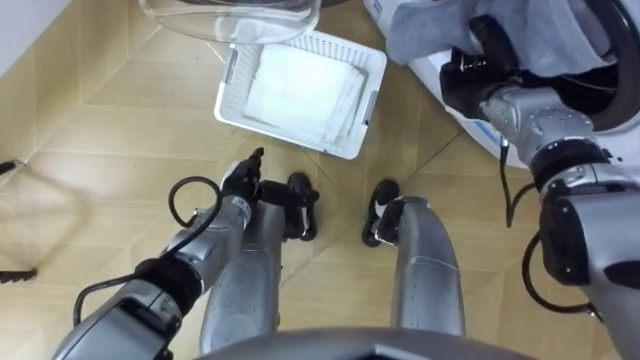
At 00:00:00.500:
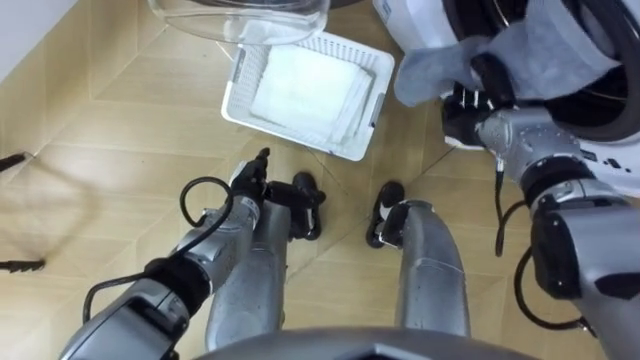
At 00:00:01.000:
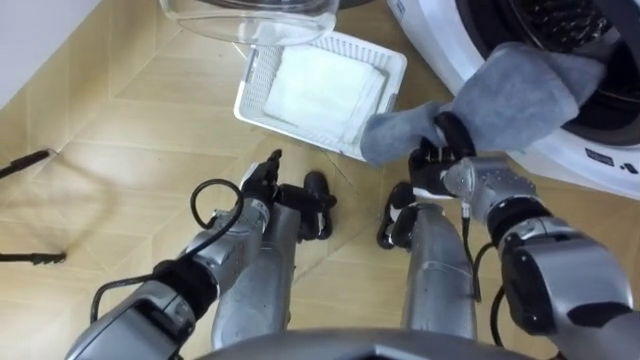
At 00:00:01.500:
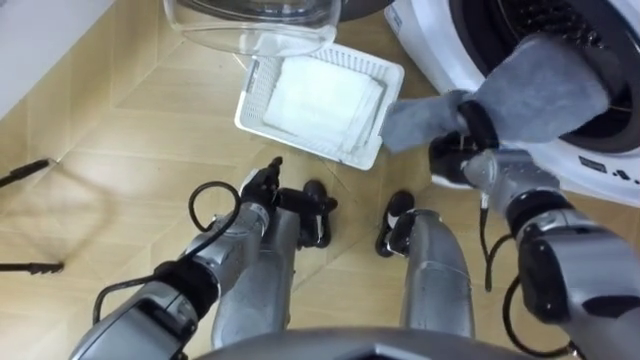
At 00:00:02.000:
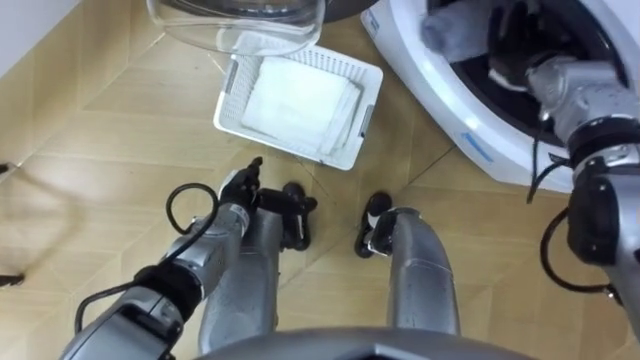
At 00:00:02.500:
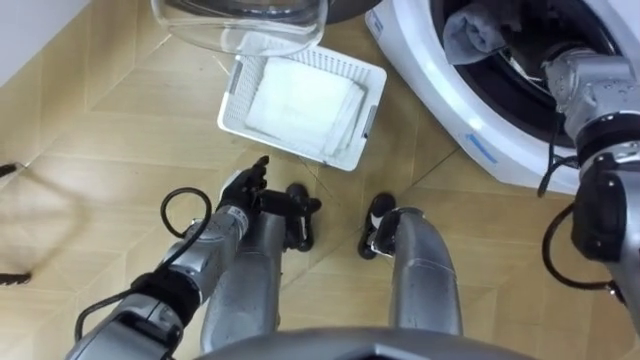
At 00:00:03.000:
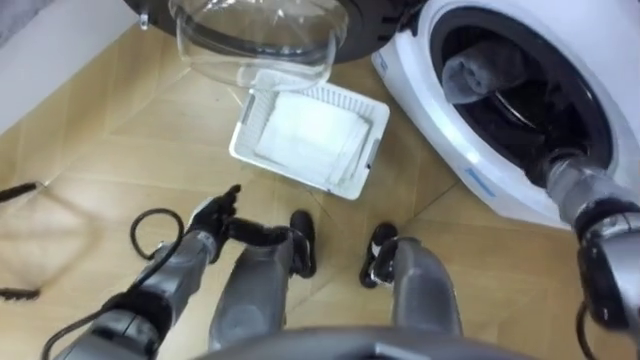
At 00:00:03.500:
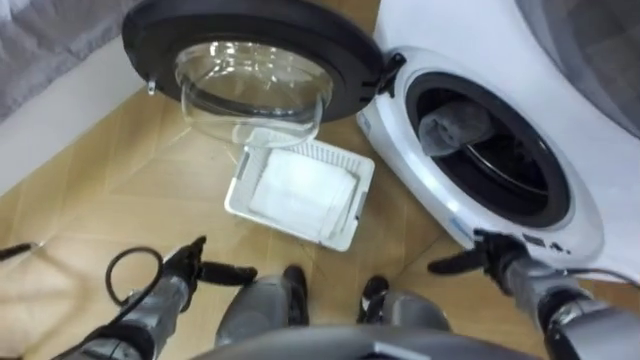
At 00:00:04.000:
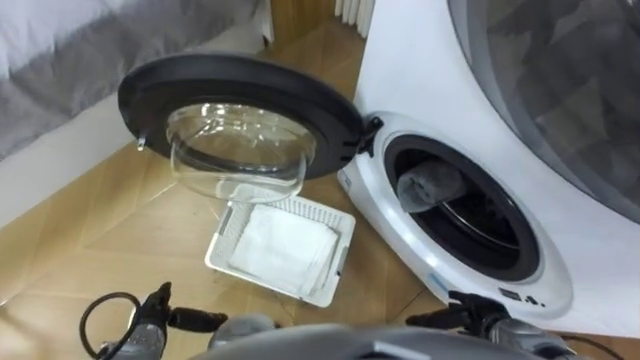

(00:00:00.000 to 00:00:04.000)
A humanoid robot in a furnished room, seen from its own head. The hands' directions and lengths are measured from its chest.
Task of the whole recording: Take the towel from the basket and put it into the washing machine.
00:00:00.000 - 00:00:02.000: The right hand travels to the right by about 5 cm, and reaches roughly 10 cm downward, then returns.
00:00:02.000 - 00:00:04.000: The left hand heads backward, to the left and downward, covering roughly 25 cm. The right hand heads backward and downward, covering roughly 40 cm, and opens its fingers.

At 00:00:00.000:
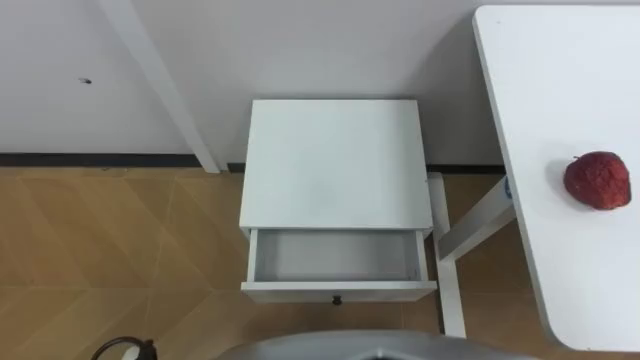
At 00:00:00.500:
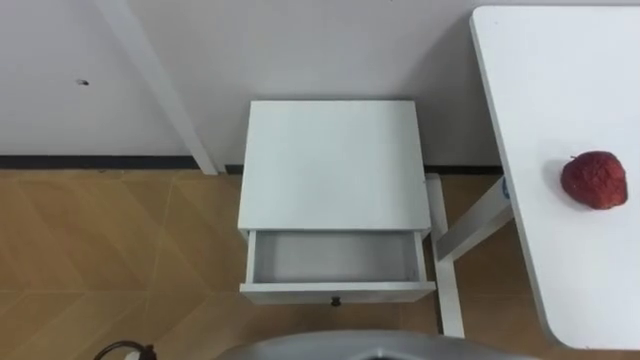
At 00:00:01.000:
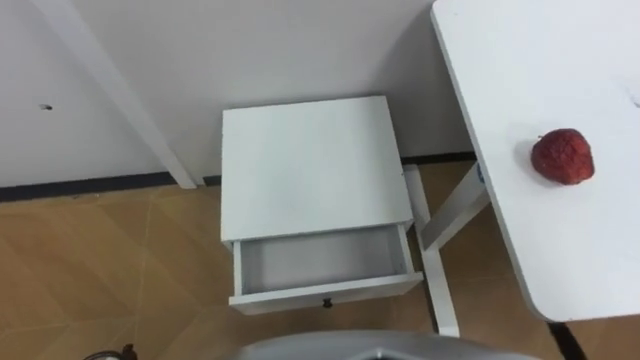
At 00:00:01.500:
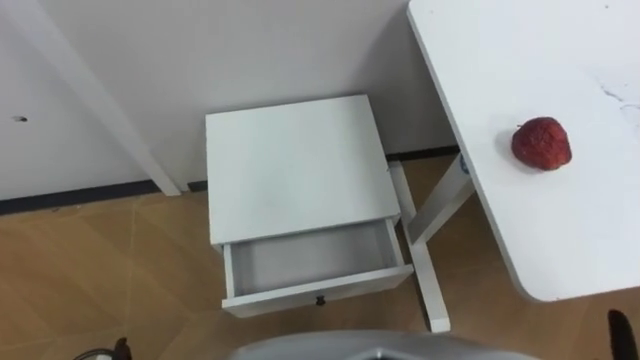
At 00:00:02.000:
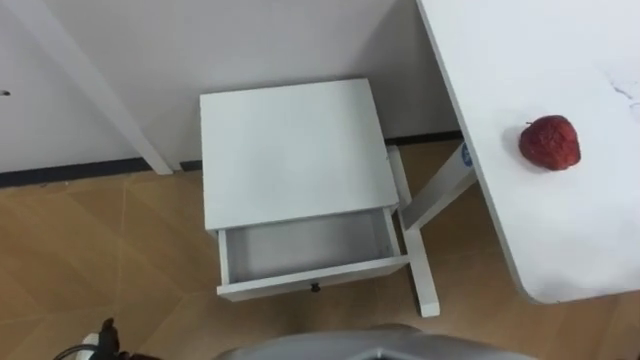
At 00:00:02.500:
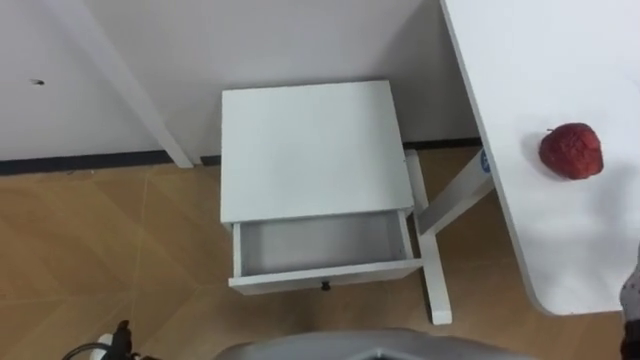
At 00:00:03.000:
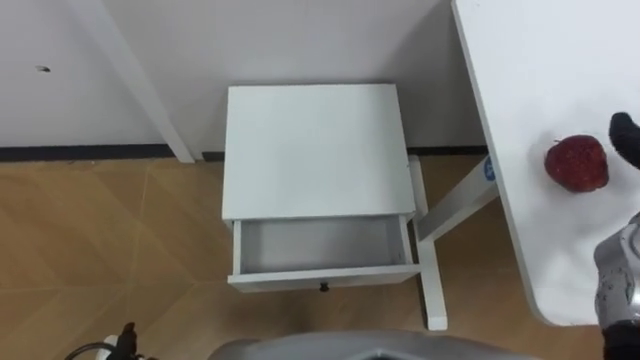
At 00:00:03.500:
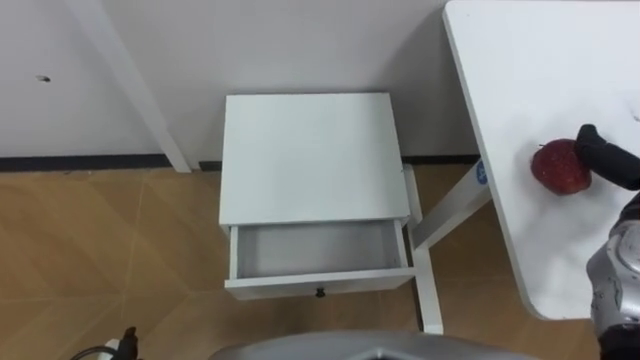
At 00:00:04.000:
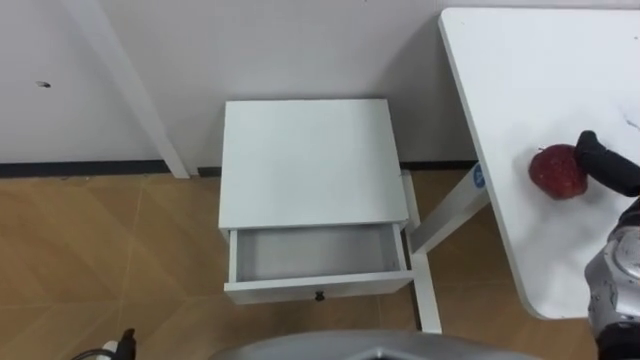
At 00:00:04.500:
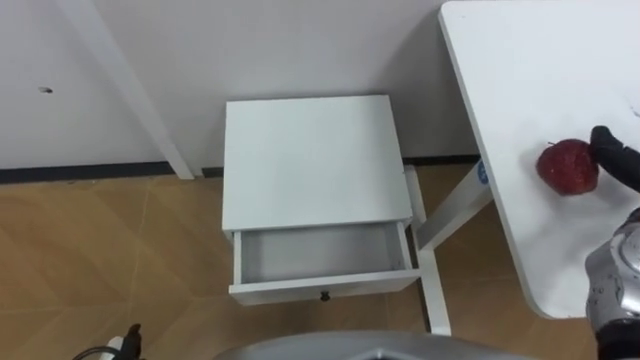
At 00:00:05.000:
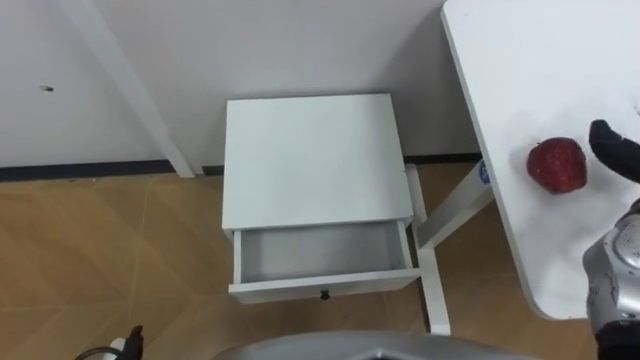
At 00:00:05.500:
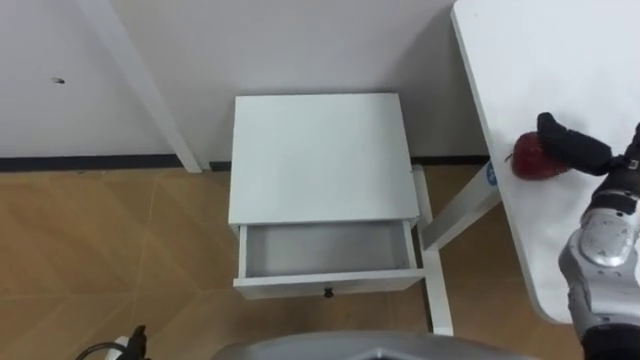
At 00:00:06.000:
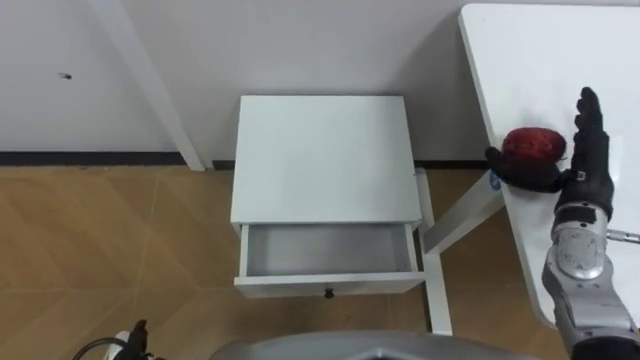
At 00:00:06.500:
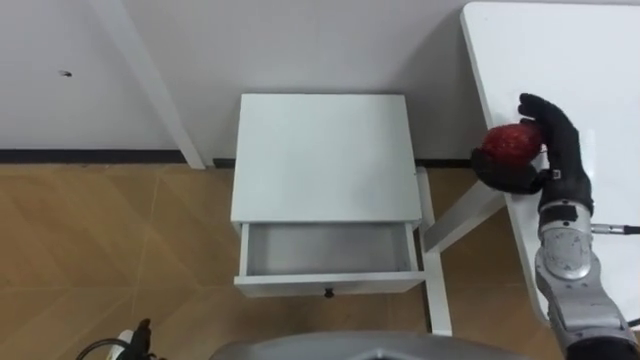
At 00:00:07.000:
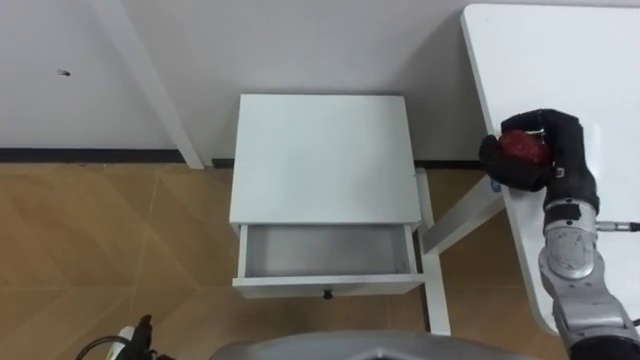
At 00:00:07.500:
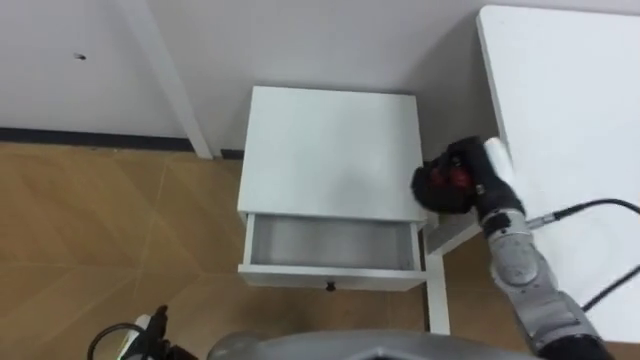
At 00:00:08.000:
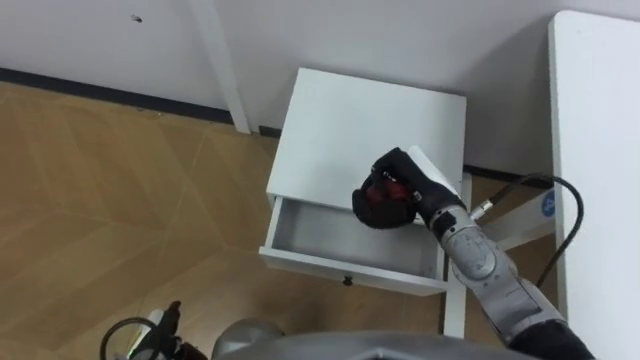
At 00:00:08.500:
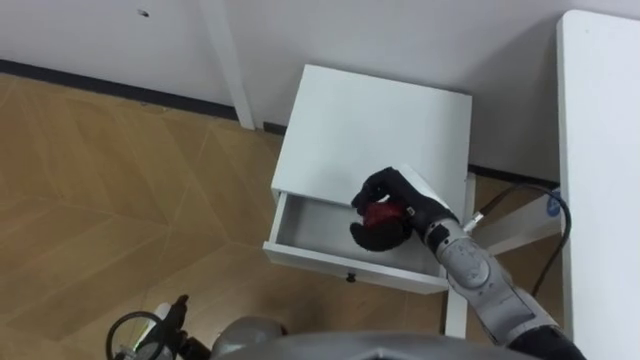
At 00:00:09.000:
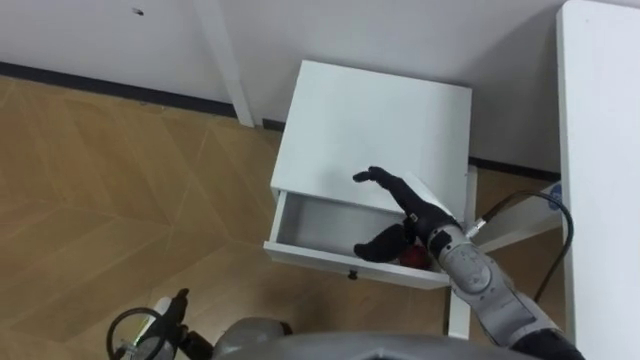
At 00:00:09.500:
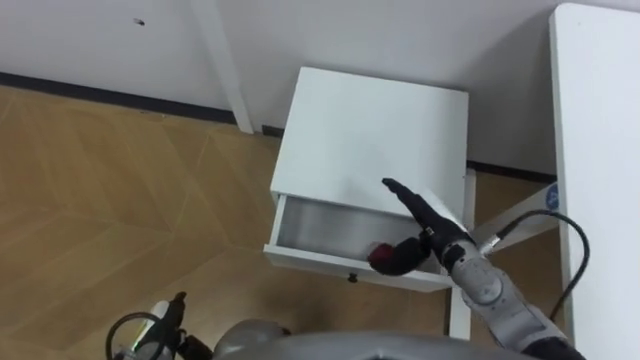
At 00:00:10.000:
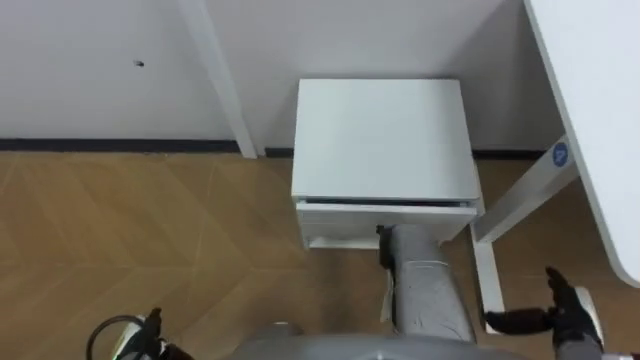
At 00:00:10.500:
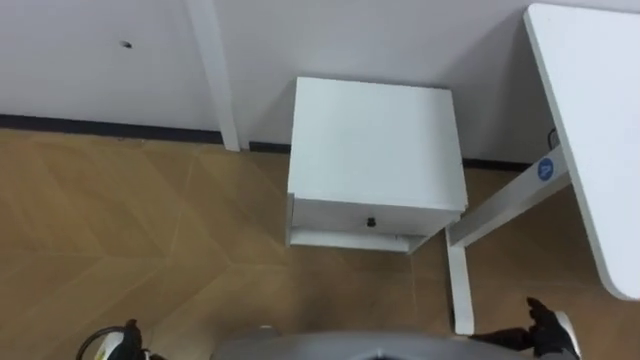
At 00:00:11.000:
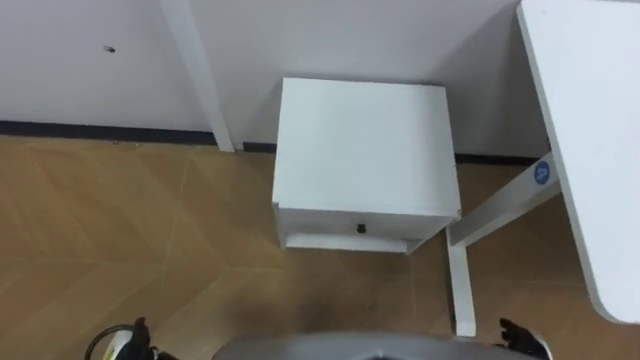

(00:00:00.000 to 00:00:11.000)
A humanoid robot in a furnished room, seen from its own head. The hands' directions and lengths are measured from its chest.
Task of the whole recording: Pick up the apple from the table, put it in the drawer, and close the drawer with leg.
00:00:05.500 - 00:00:07.500: The right hand heads to the left, covering some 15 cm, and closes up.
00:00:07.500 - 00:00:09.000: The right hand is displaced to the left by roughly 10 cm, and opens.
00:00:09.000 - 00:00:11.000: The right hand is displaced backward, to the right and downward by about 30 cm.

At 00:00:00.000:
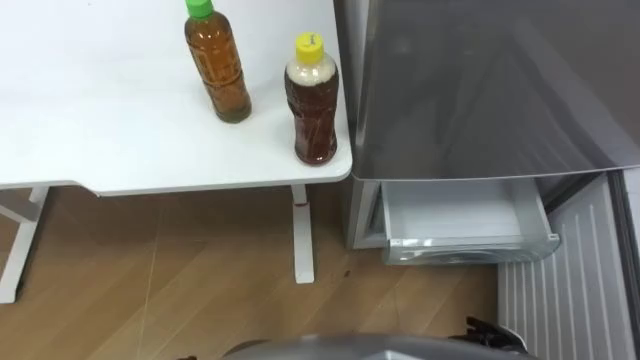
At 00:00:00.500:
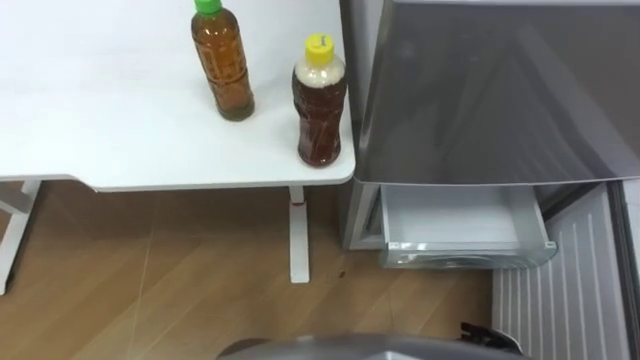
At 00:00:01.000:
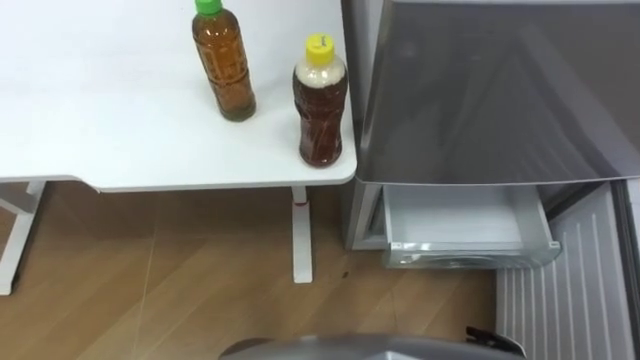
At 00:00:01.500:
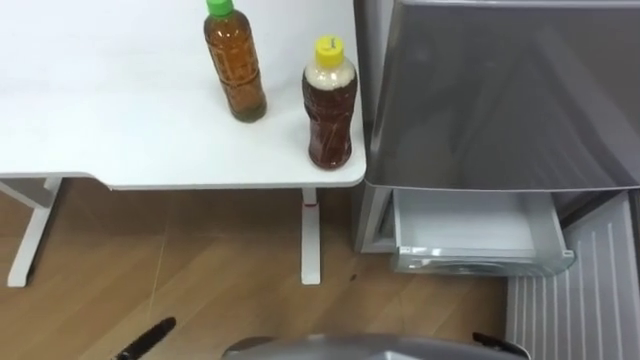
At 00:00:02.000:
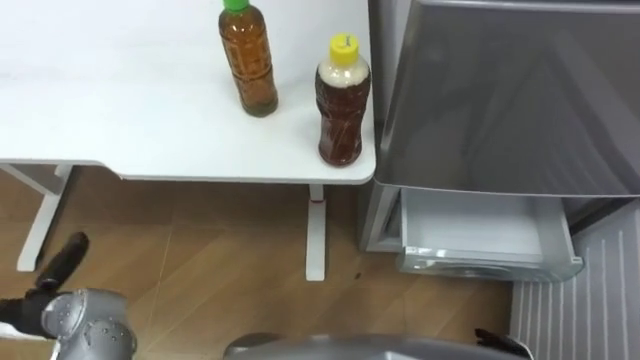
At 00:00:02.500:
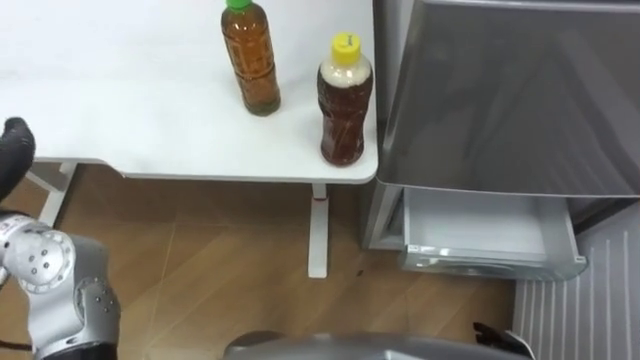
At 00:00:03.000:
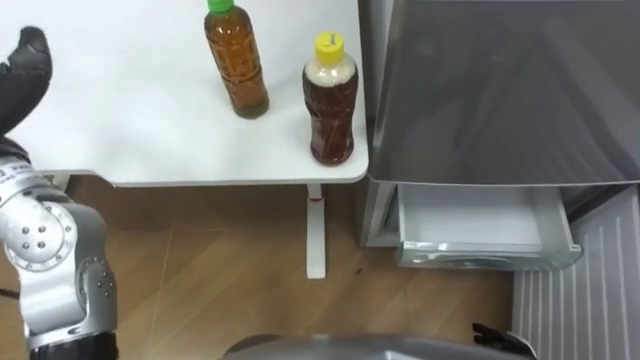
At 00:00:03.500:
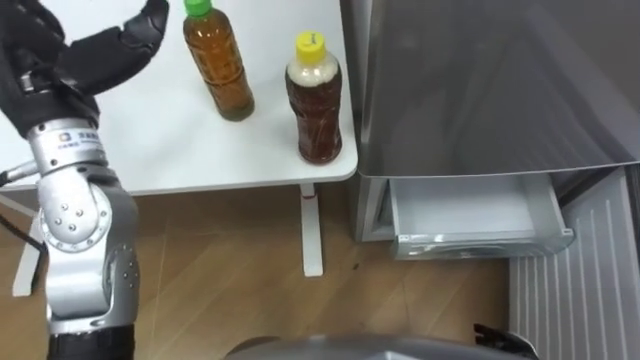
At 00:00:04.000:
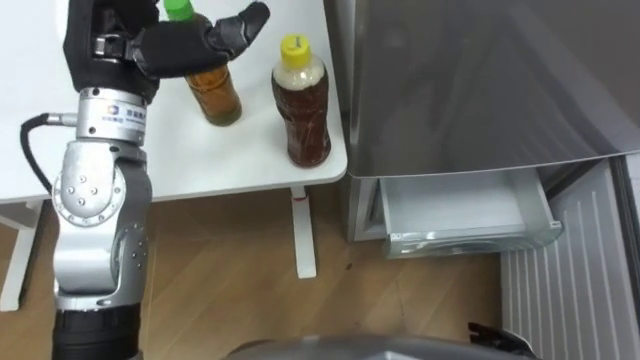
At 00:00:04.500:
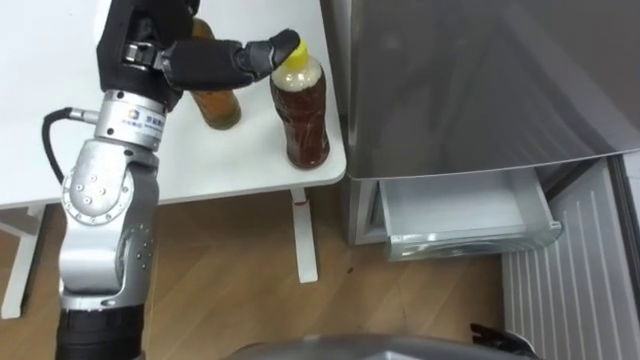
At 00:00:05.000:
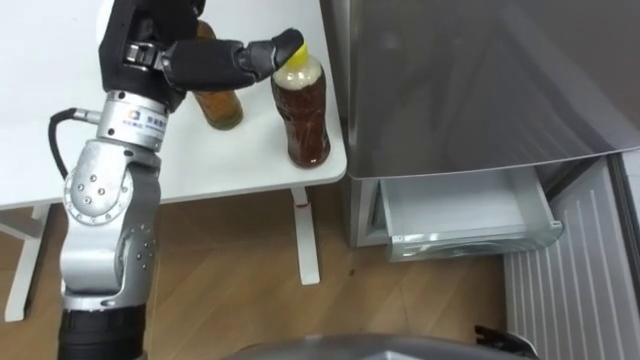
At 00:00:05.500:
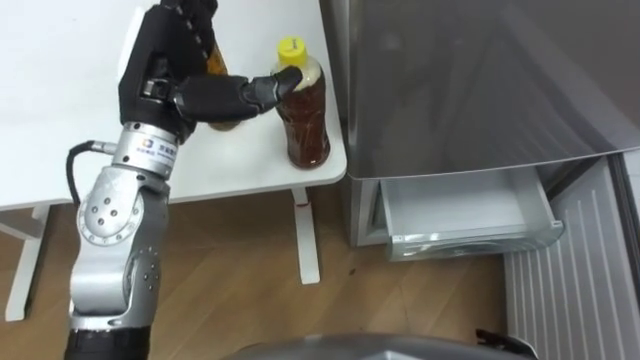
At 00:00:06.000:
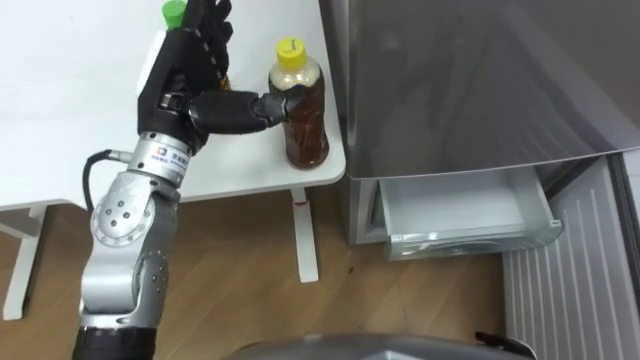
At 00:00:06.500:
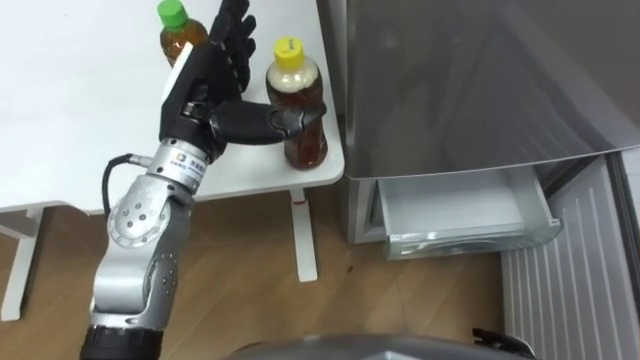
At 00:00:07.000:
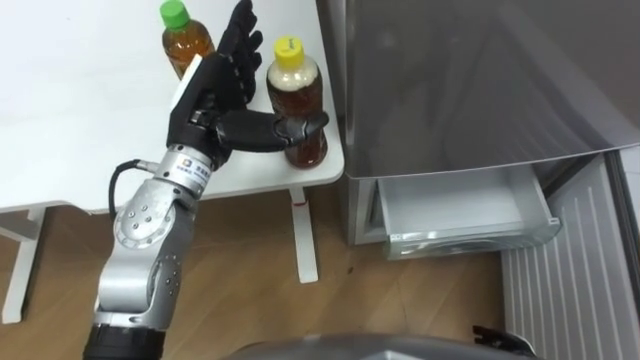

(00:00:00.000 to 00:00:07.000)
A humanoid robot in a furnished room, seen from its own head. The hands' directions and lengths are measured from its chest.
Task of the whole recording: Place the drink on the table on the bottom shelf of the refrigerator, then close the drawer and the refrigerator door.
00:00:03.500 - 00:00:05.000: The left hand shifts roughly 10 cm to the right.
00:00:05.000 - 00:00:07.000: The left hand shifts about 10 cm downward.
